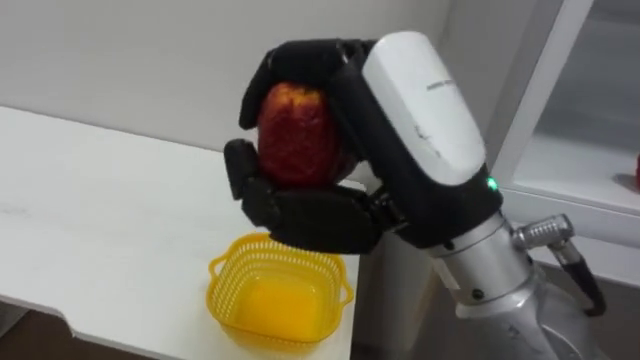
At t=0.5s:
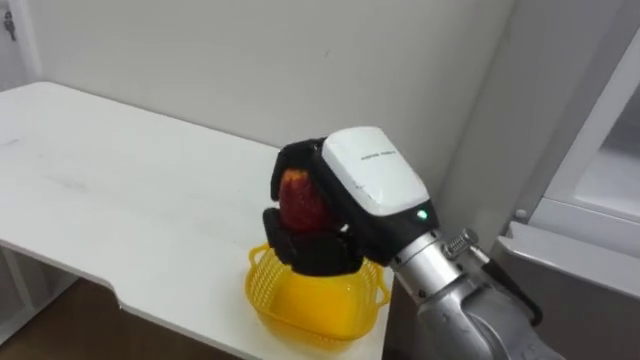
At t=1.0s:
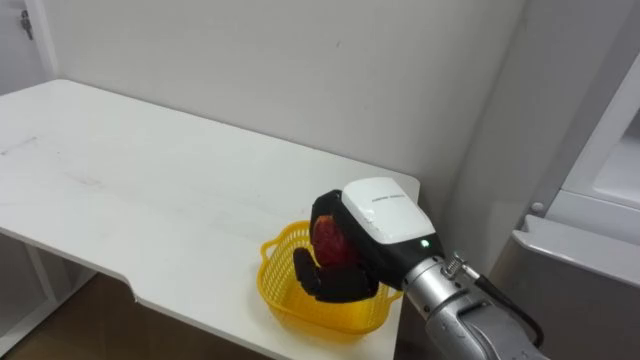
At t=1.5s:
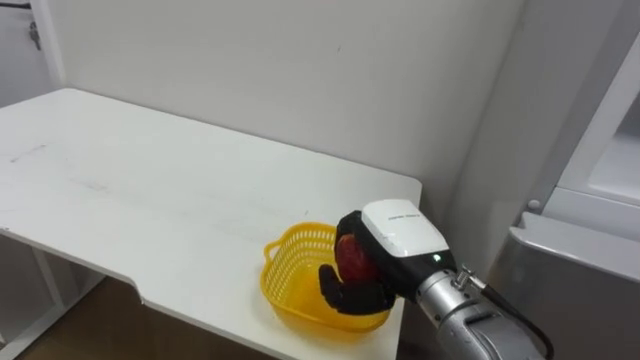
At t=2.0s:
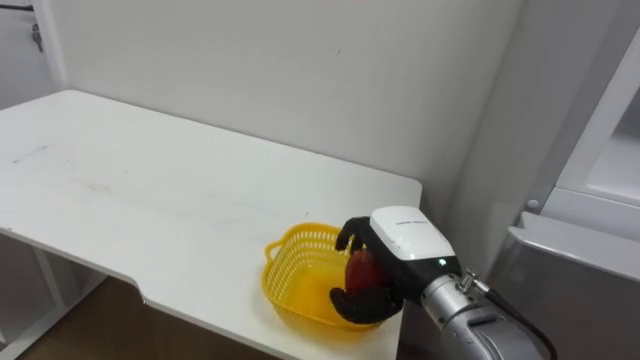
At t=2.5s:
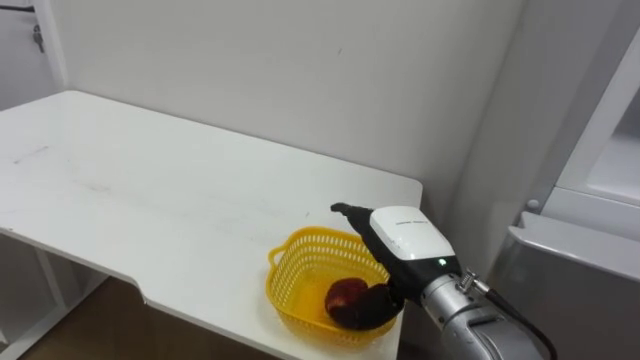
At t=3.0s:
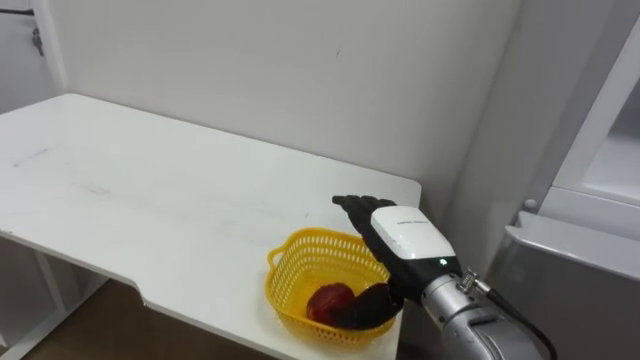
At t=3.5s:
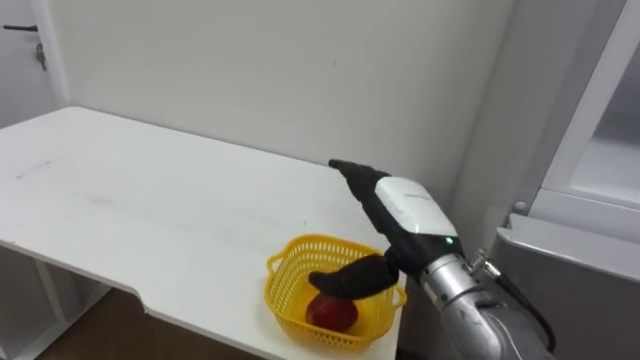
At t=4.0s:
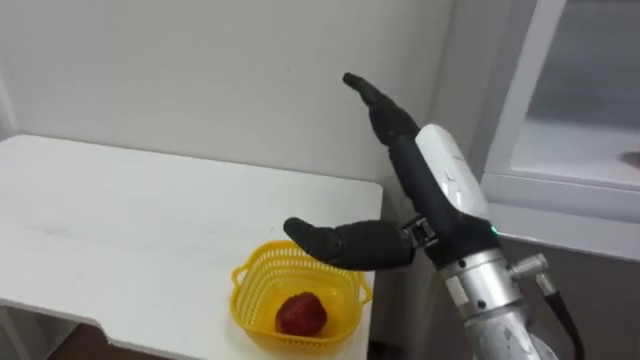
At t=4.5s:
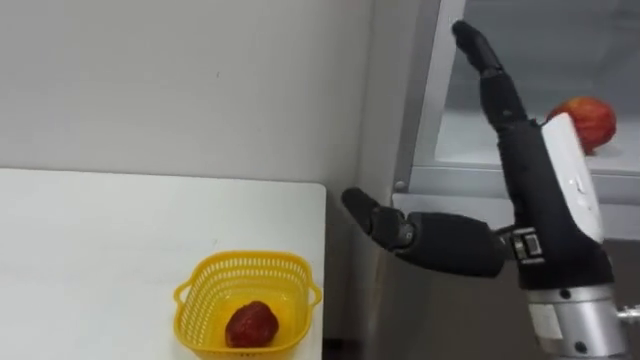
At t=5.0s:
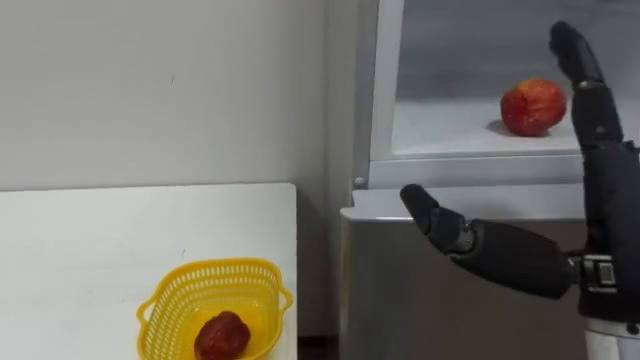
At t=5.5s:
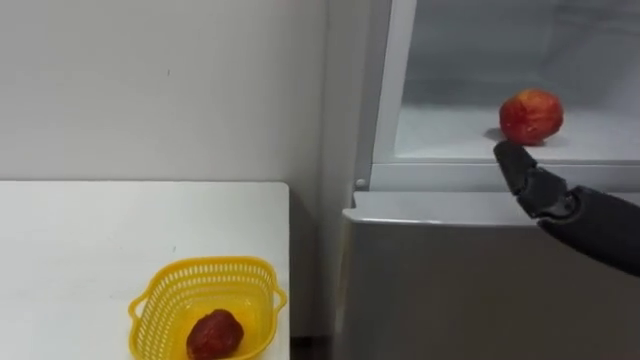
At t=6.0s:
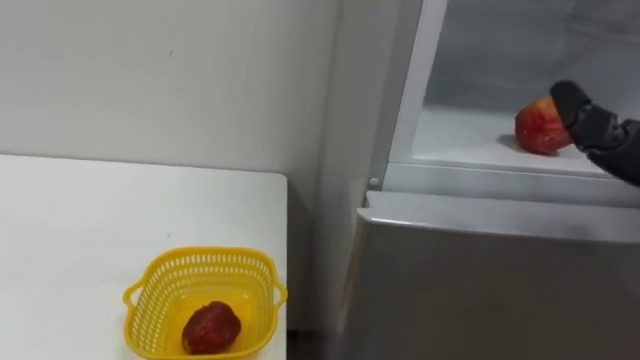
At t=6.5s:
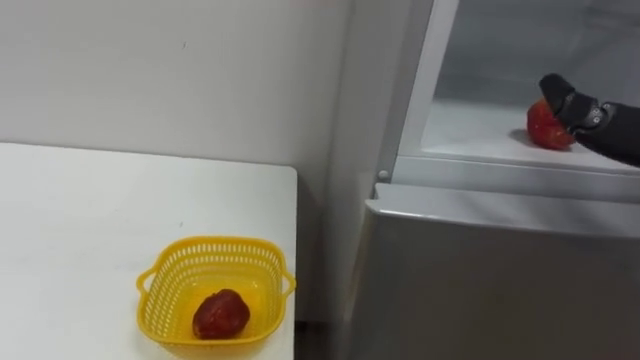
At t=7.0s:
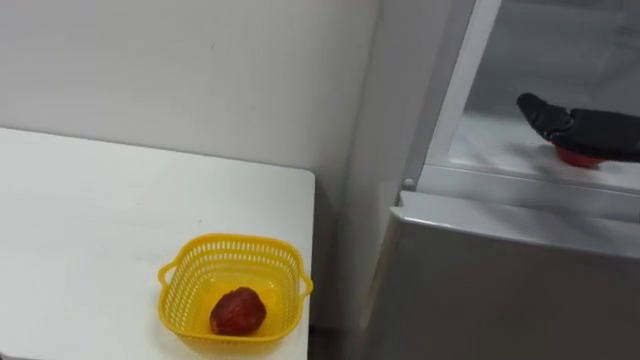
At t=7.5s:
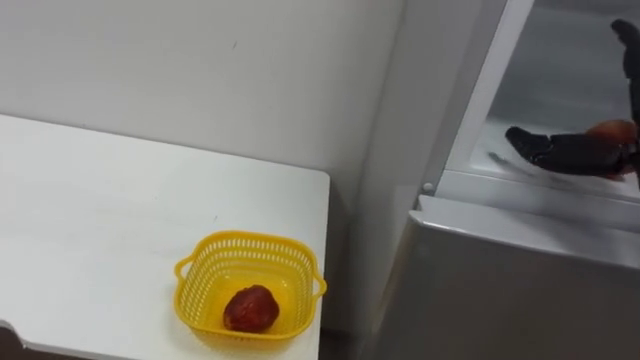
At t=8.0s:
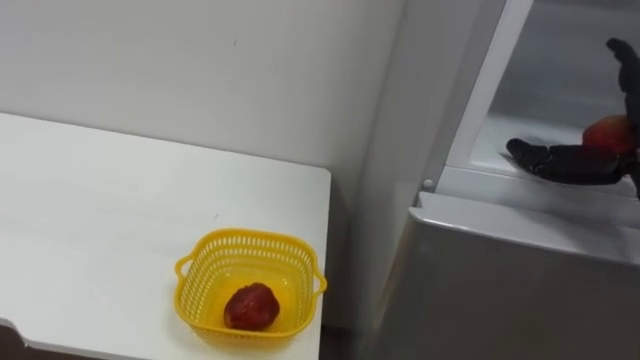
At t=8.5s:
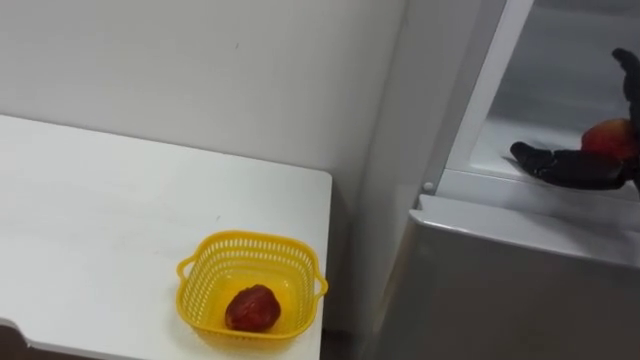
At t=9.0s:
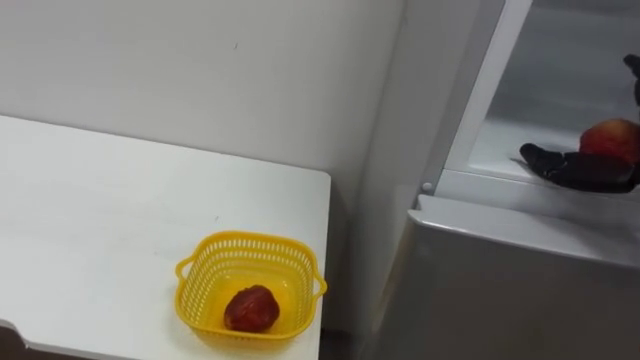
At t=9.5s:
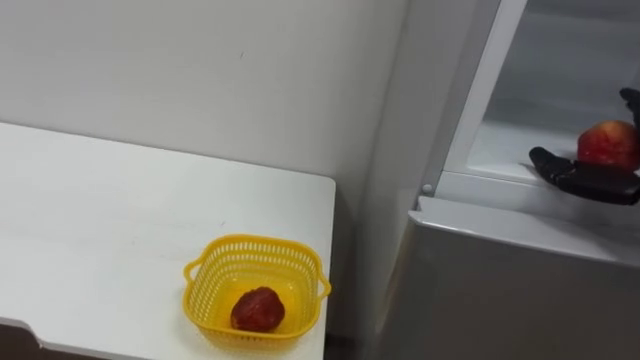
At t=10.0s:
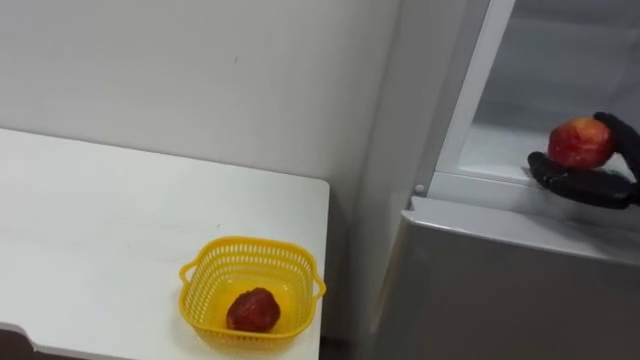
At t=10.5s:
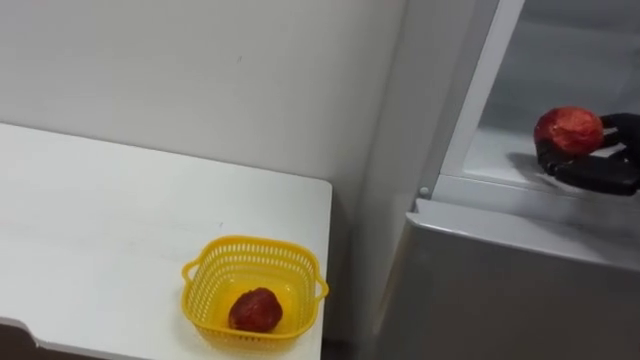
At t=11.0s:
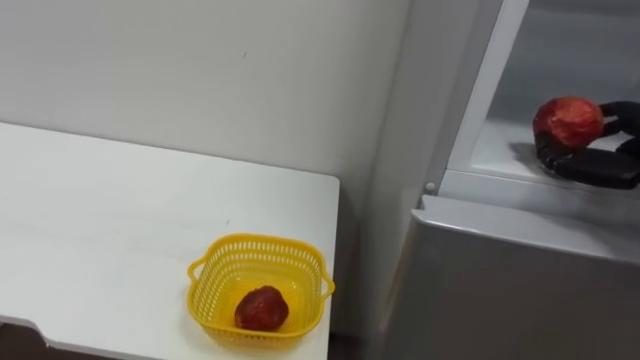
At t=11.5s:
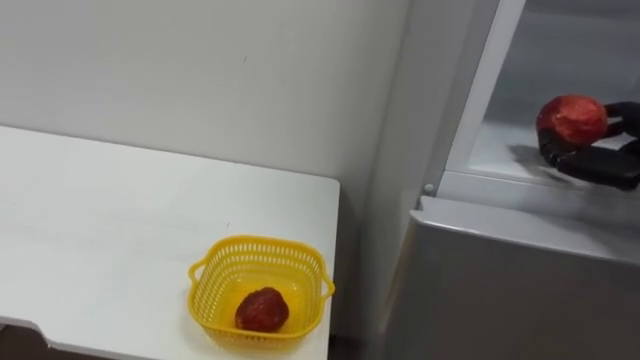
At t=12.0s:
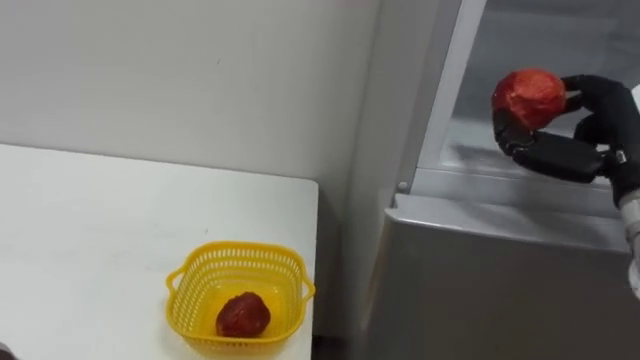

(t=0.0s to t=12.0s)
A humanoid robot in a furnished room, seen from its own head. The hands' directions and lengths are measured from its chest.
Task of the whole recording: Open the refrigerator door, take out the apple and the pomegranate, place them in the fruit basket on the left, and close the refrigerator door.
t=0.0s - t=2.0s: The right hand goes some 25 cm downward and forward.
t=2.0s - t=4.0s: The right hand is displaced upward and backward by roughly 15 cm, and opens up.

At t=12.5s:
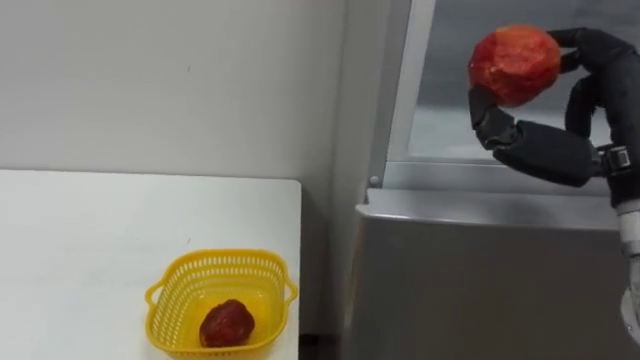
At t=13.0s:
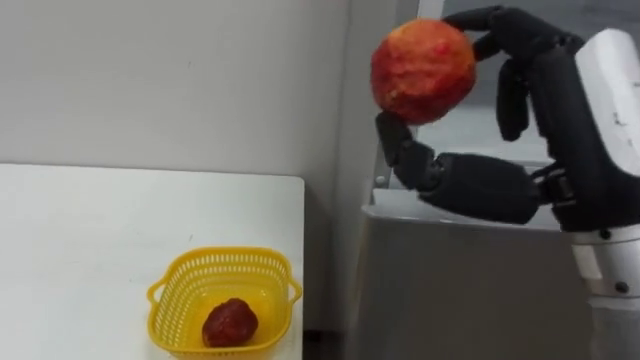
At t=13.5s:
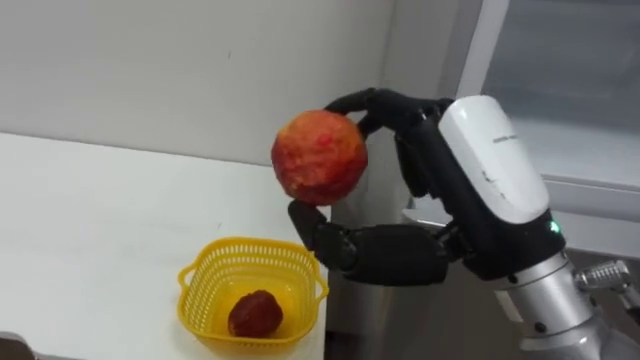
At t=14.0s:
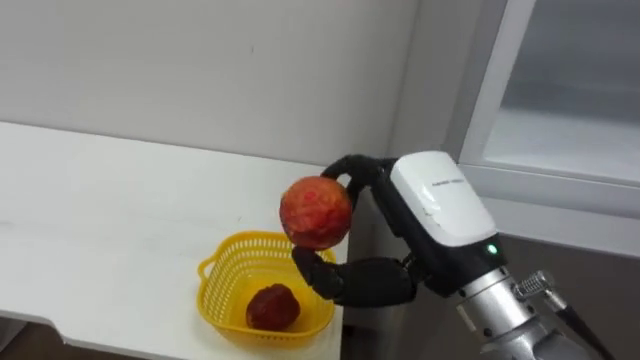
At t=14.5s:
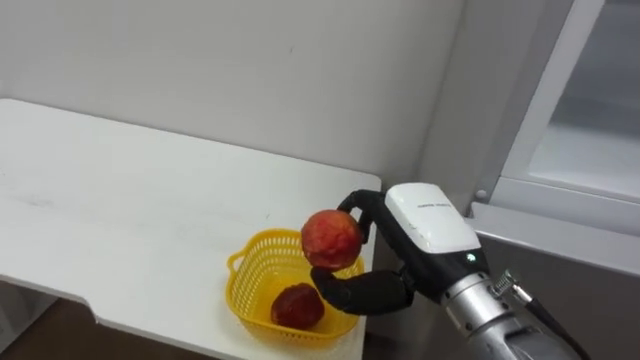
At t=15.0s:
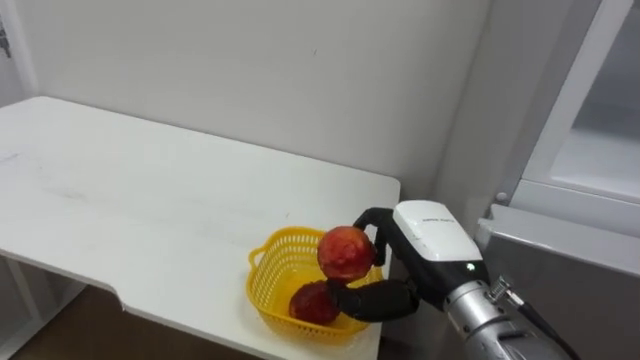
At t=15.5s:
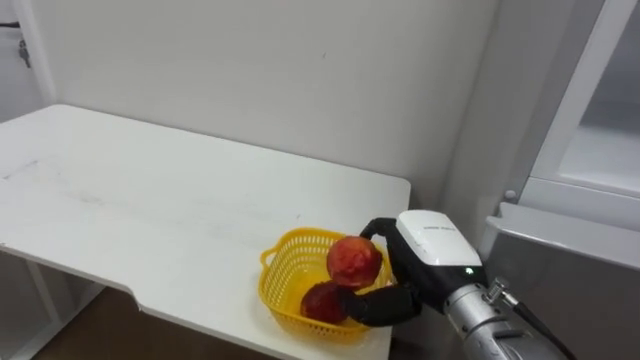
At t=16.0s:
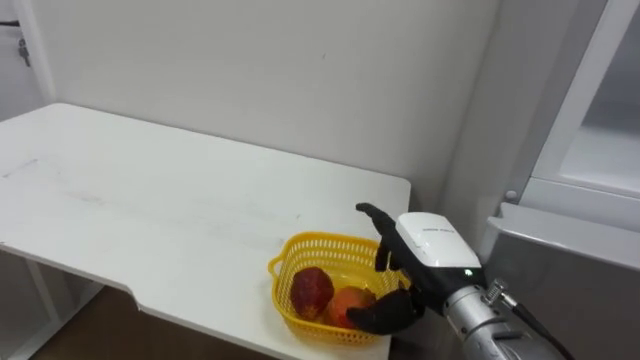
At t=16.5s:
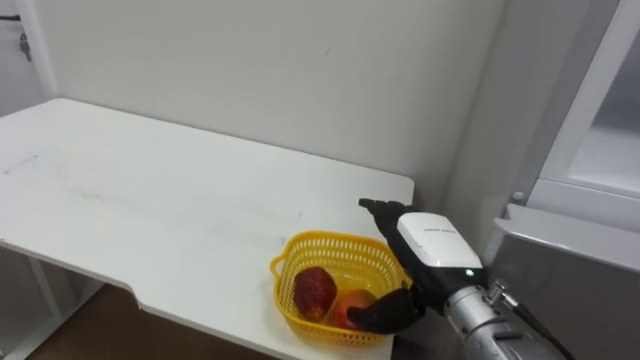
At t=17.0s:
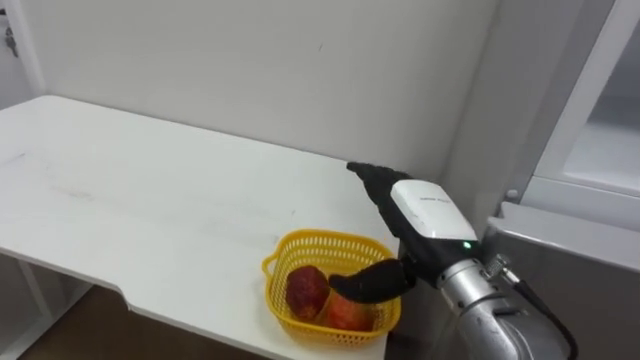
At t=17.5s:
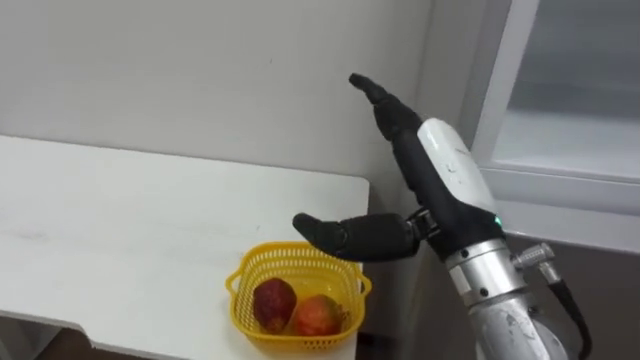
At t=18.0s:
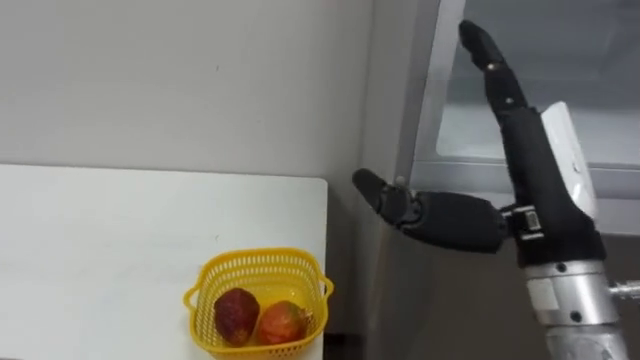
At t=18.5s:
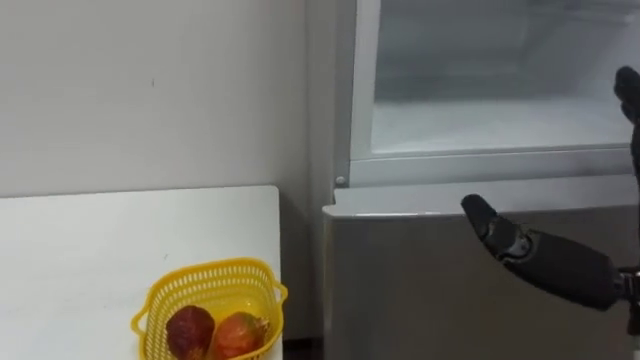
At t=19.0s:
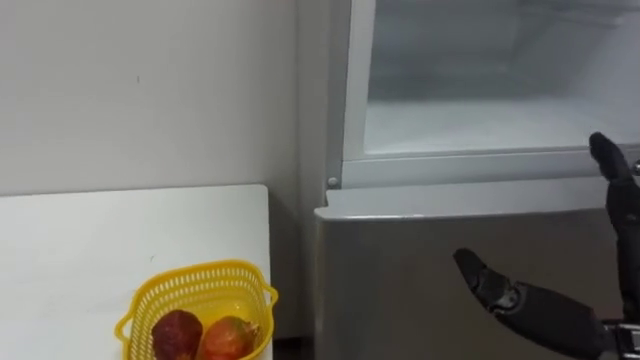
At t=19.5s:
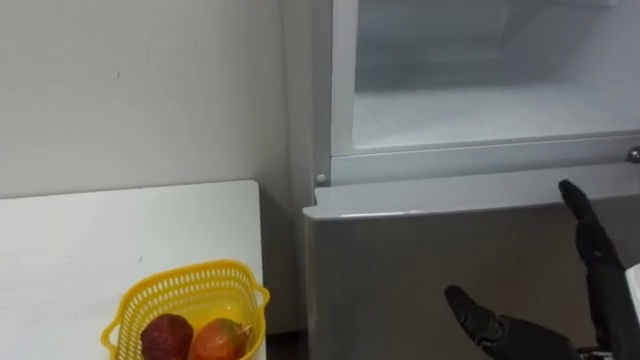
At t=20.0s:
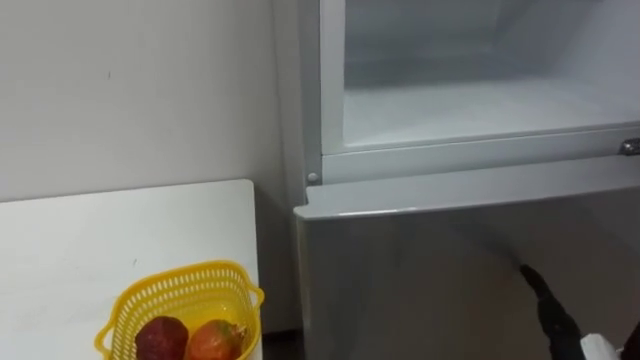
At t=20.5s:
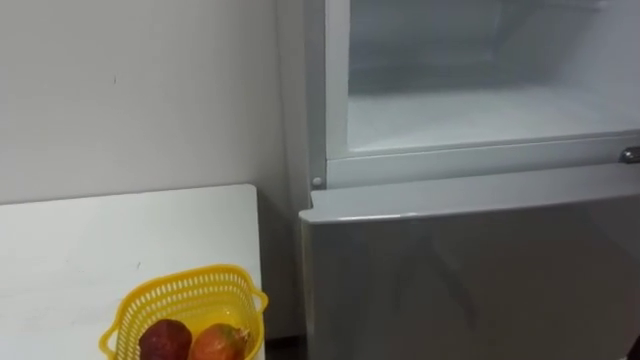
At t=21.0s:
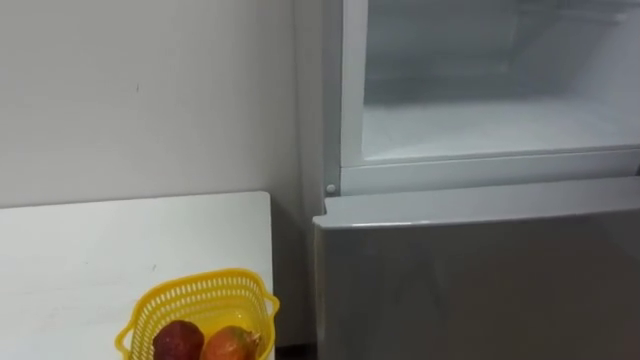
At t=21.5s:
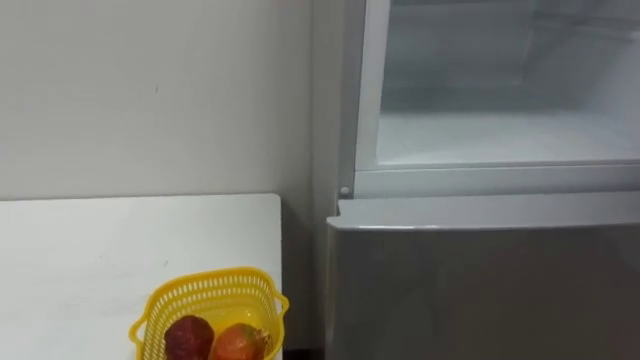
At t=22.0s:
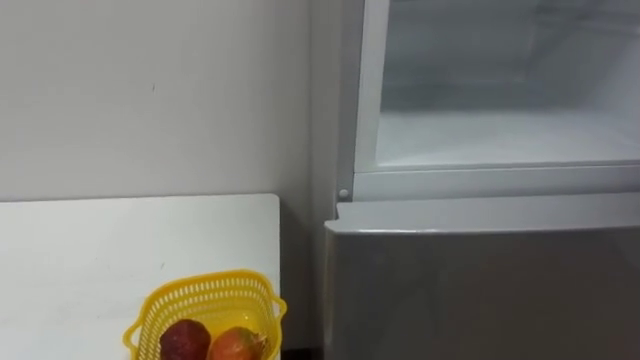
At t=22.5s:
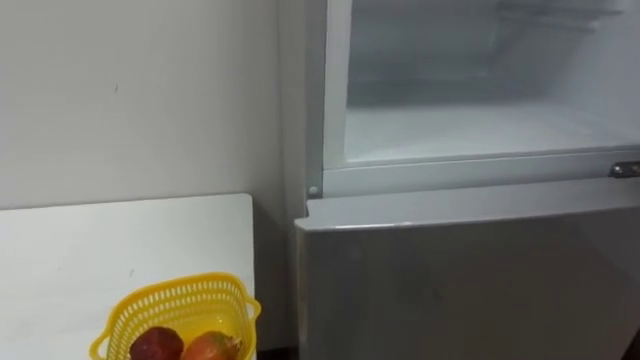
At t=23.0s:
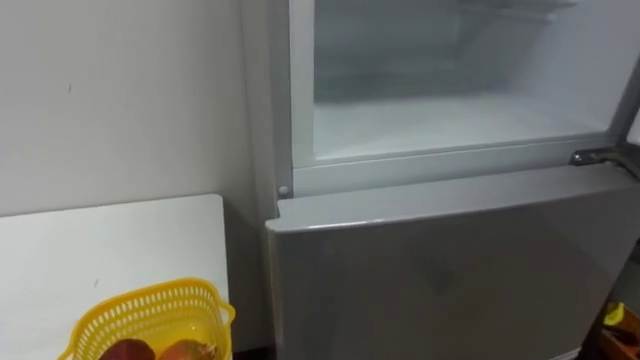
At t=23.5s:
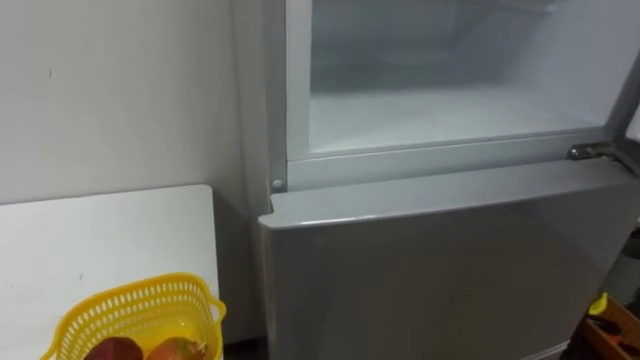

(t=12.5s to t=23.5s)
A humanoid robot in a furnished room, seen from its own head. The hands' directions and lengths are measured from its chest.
Task of the whole recording: Open the refrigerator door, take out the apple and the pomegranate, place them in the fruit basket on the left, and close the refrigerator door.
t=12.5s - t=14.5s: The right hand shifts roughly 20 cm to the left and downward.
t=14.5s - t=16.0s: The right hand travels downward by approximately 5 cm, and opens.
t=16.0s - t=18.0s: The right hand moves upward and backward, about 15 cm, and opens its fingers.
